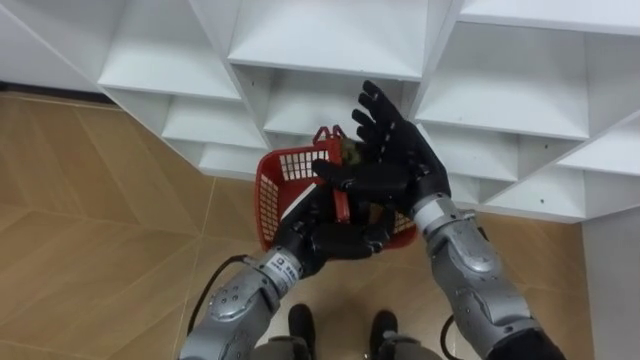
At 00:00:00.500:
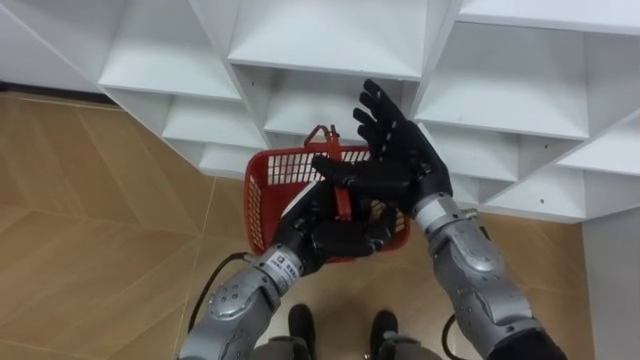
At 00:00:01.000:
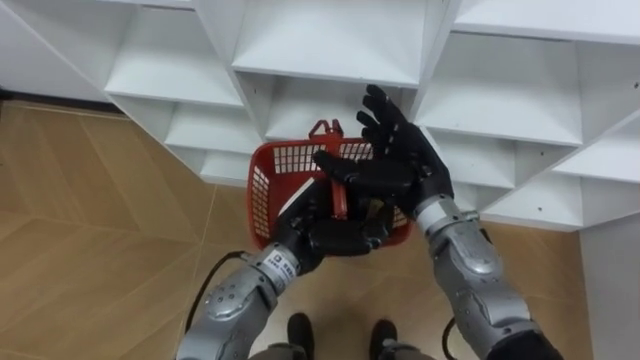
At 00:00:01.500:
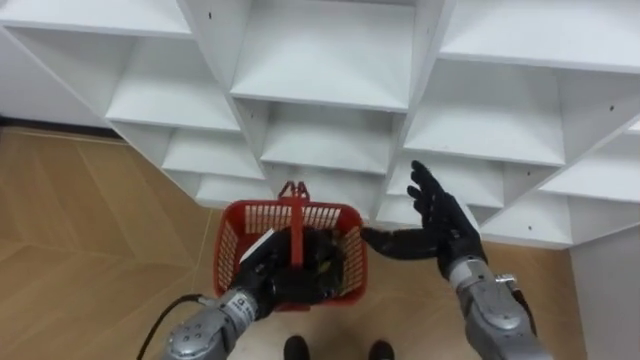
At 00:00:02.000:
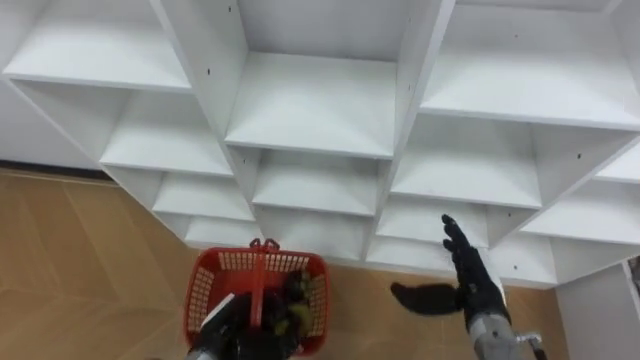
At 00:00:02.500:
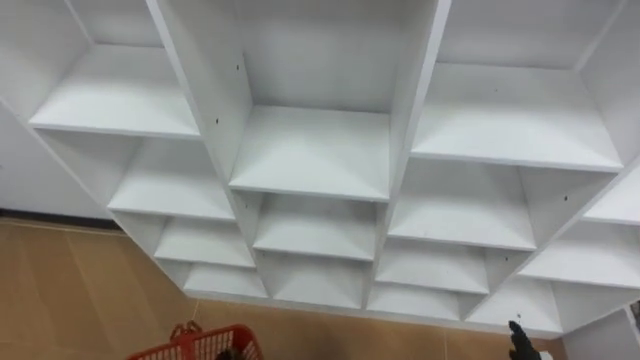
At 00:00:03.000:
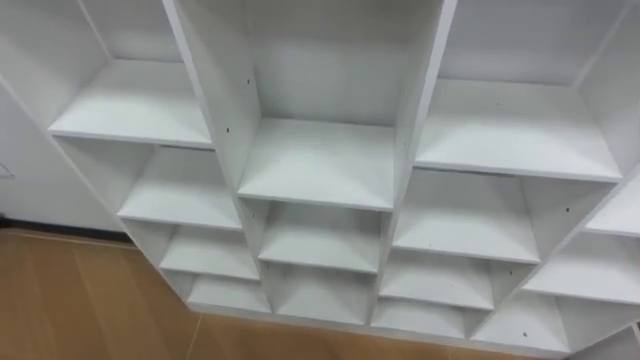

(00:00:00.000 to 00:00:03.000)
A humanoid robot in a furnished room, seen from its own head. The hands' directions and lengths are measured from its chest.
Task of the whole recording: Hold the basket and collect the fruits from 3 different cells of the closet into it.
00:00:00.000 - 00:00:01.500: The right hand is displaced downward and to the right by approximately 10 cm. Meanwhile the left hand shifts approximately 10 cm downward and to the left.

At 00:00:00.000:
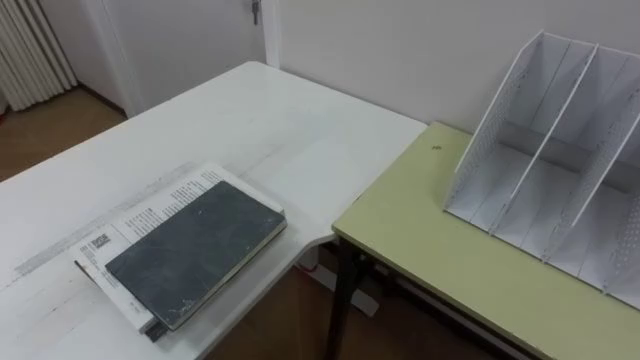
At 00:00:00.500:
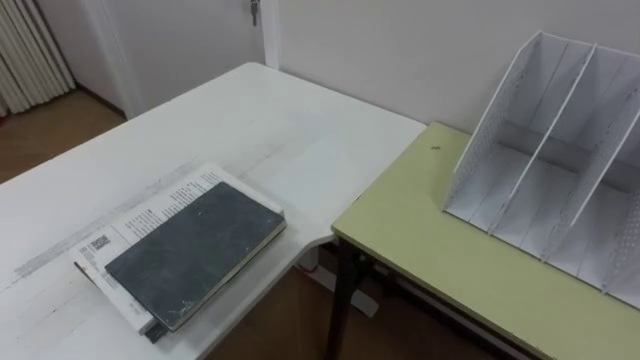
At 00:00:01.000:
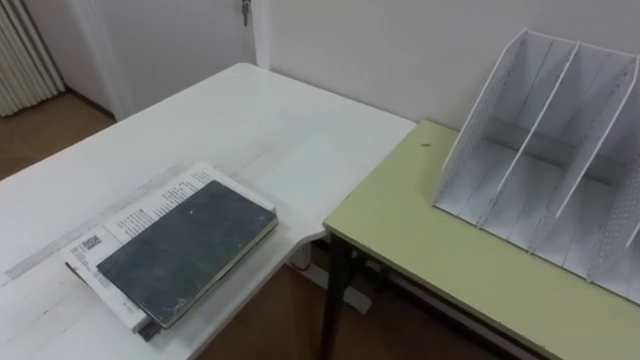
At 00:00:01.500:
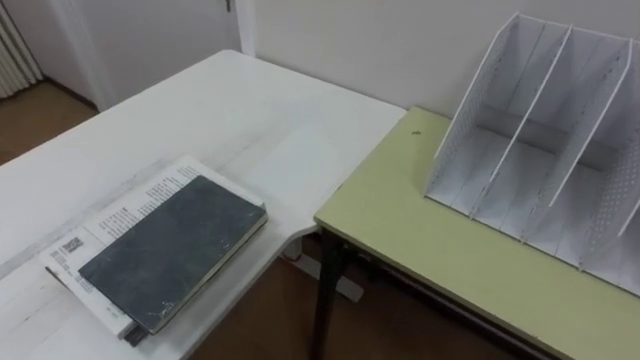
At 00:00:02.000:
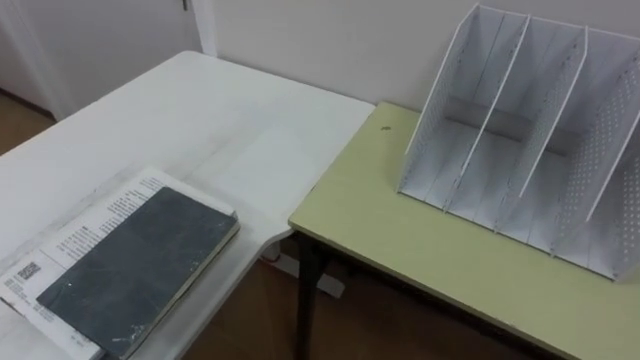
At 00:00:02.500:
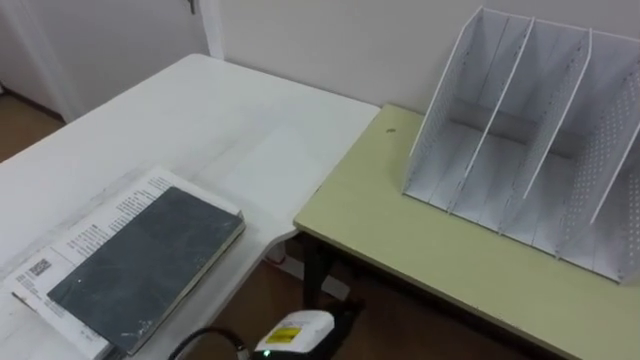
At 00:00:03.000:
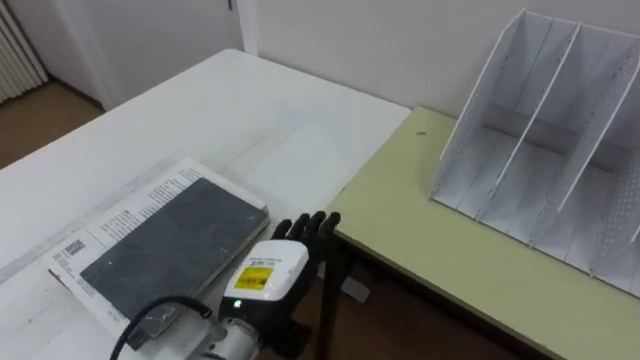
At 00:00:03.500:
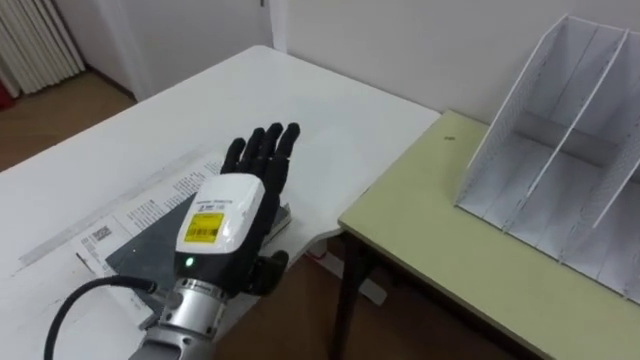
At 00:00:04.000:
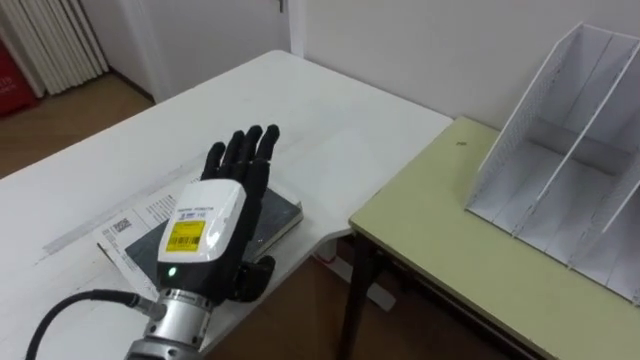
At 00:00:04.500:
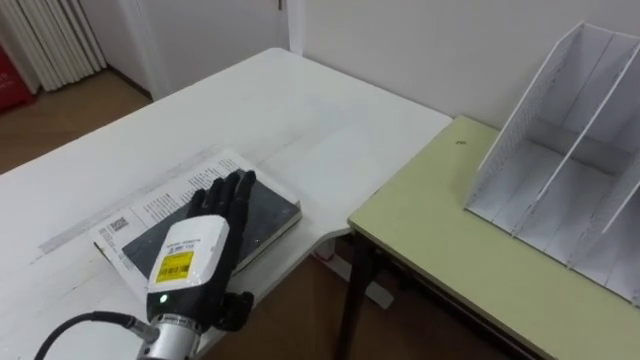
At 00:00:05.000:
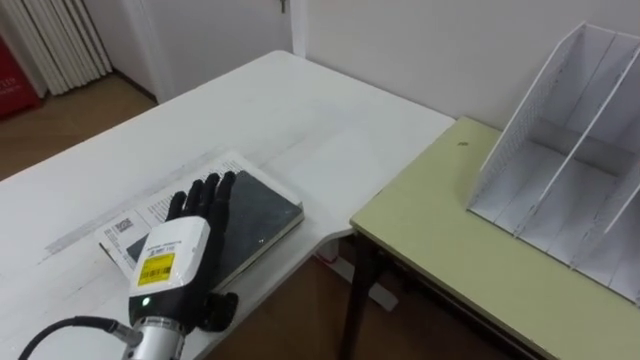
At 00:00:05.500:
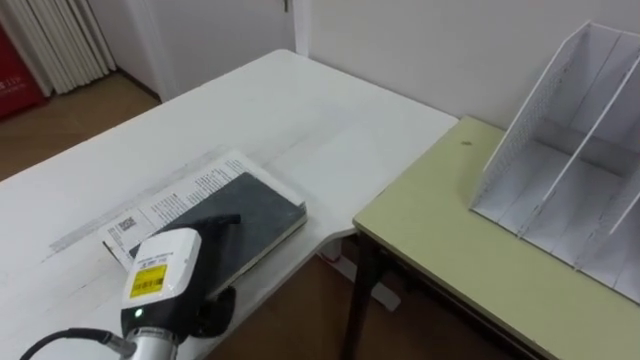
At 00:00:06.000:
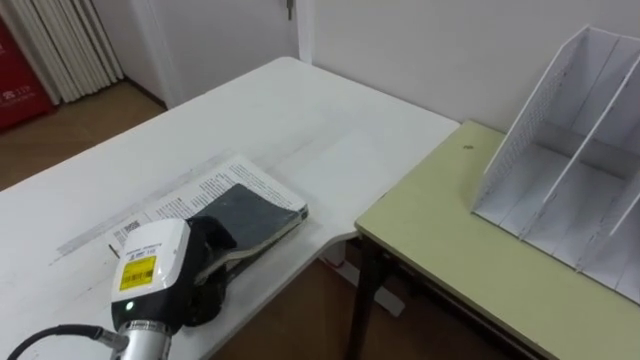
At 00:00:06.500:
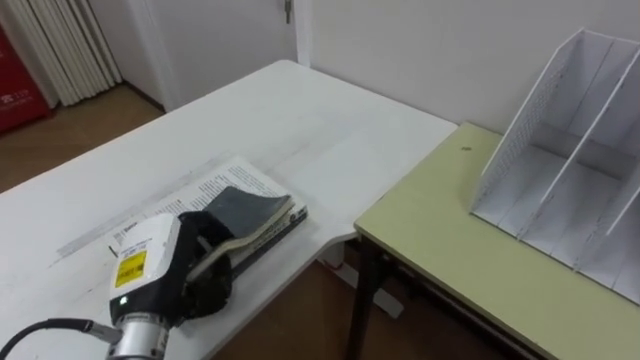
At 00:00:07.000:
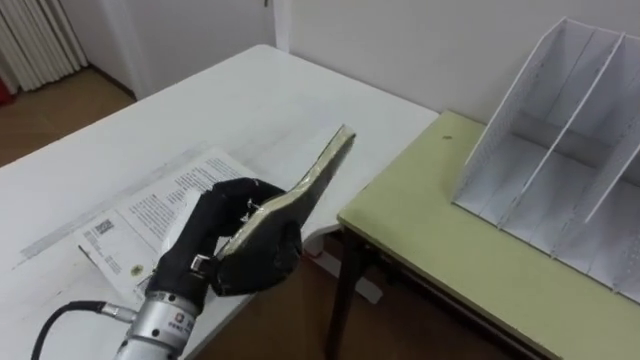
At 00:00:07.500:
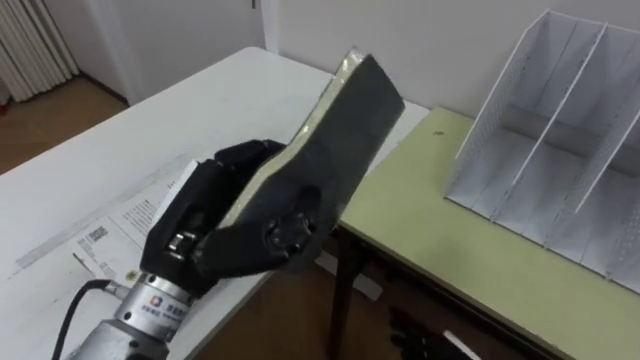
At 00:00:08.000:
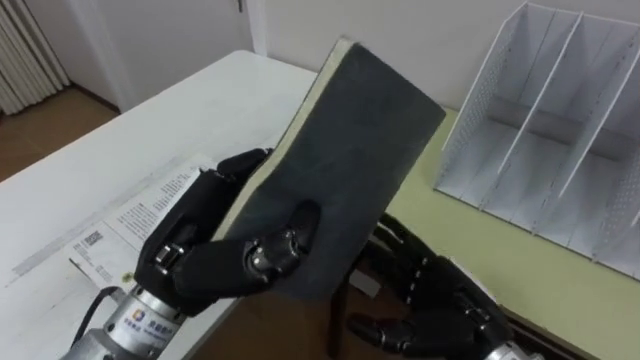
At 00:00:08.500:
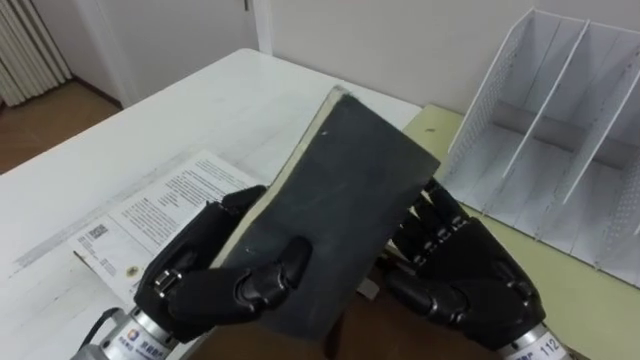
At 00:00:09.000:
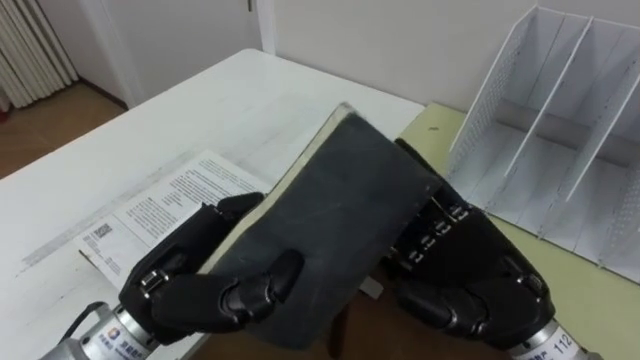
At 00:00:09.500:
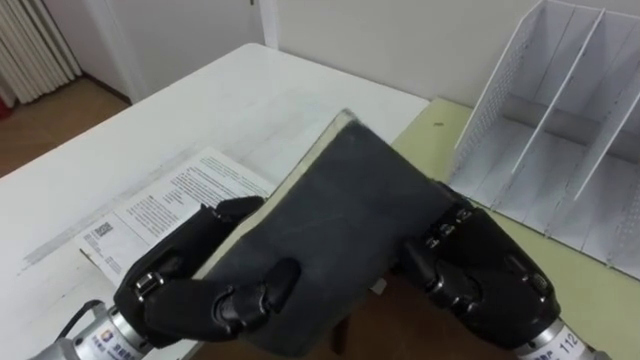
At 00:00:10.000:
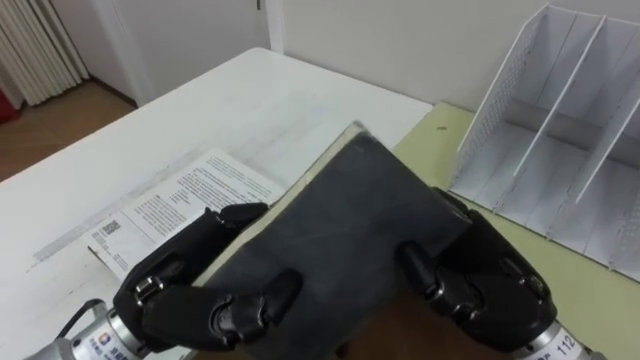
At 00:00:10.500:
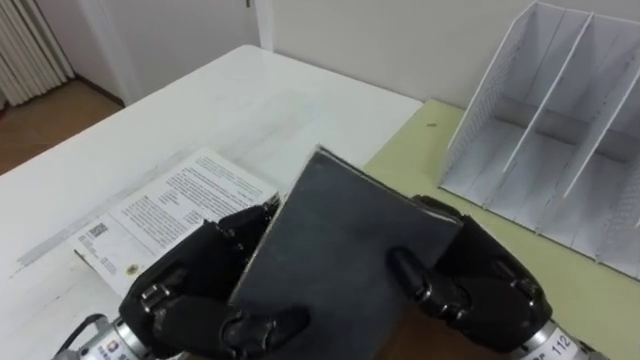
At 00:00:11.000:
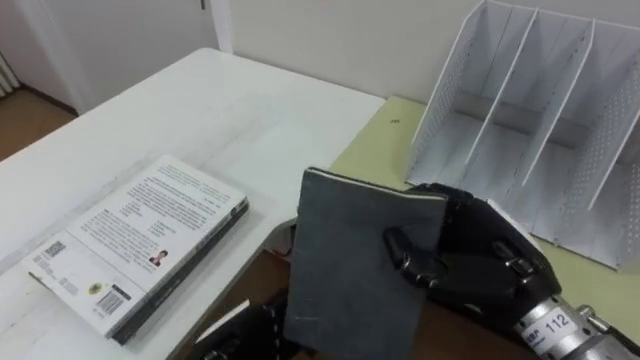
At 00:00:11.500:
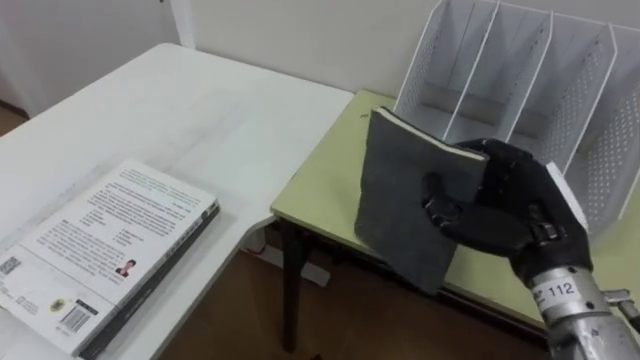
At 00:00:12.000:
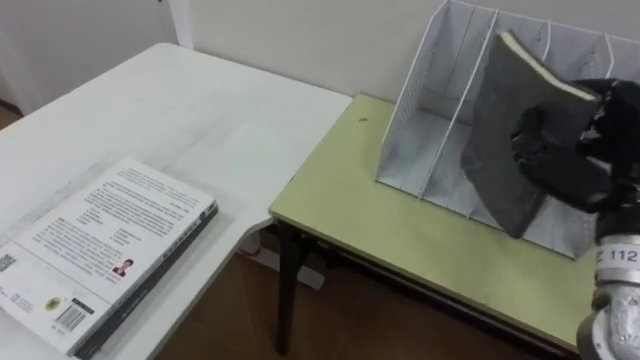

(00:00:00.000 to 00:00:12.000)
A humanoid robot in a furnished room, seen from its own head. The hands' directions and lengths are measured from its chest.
Task of the whole recording: Put the books on the table onto the bookshelf.
00:00:04.000 - 00:00:06.000: The left hand shifts some 10 cm to the left and downward, and closes up.
00:00:06.000 - 00:00:08.000: The left hand travels upward and to the right by approximately 10 cm.
00:00:08.000 - 00:00:10.000: The right hand travels upward by about 10 cm, and closes.
00:00:10.000 - 00:00:12.000: The right hand goes about 15 cm to the right and upward.
